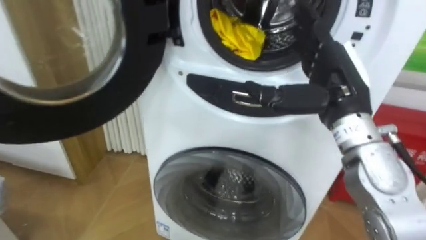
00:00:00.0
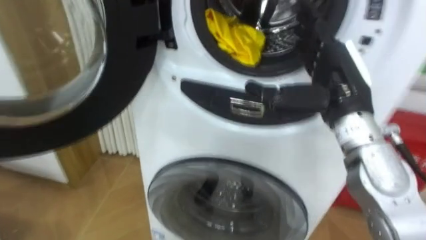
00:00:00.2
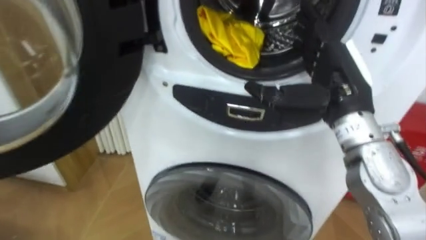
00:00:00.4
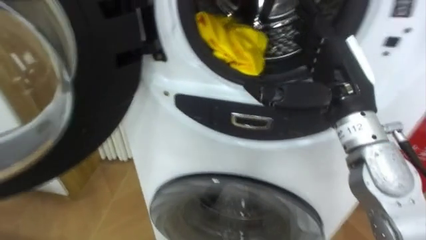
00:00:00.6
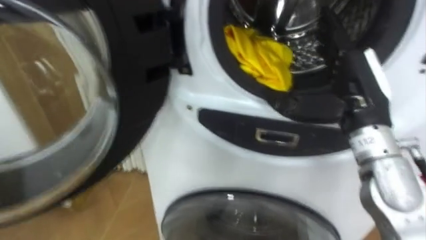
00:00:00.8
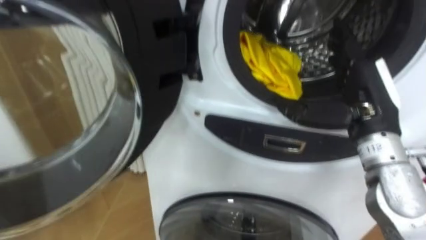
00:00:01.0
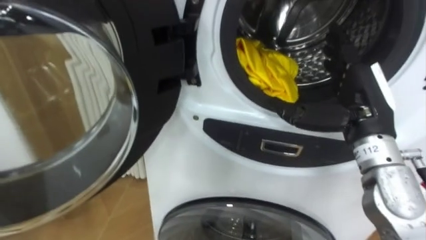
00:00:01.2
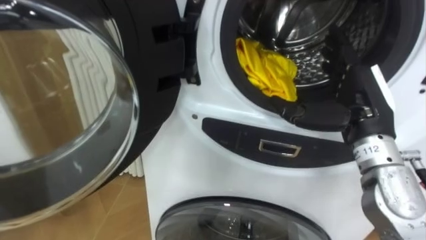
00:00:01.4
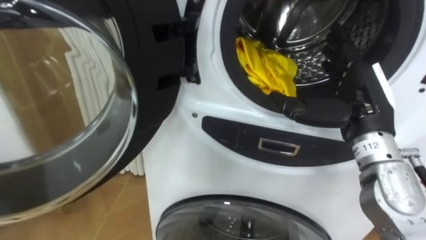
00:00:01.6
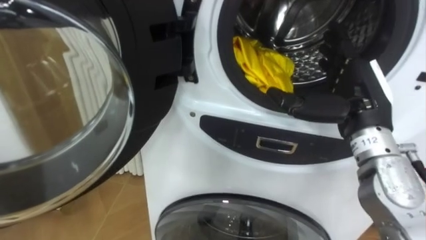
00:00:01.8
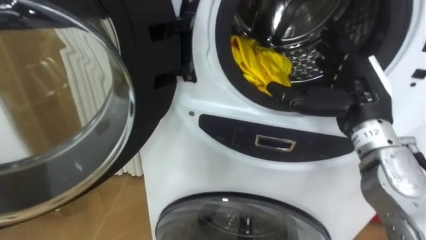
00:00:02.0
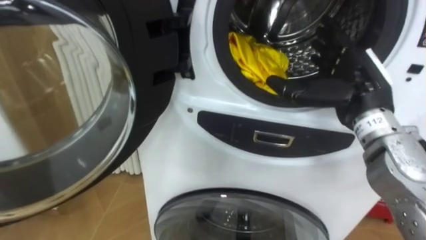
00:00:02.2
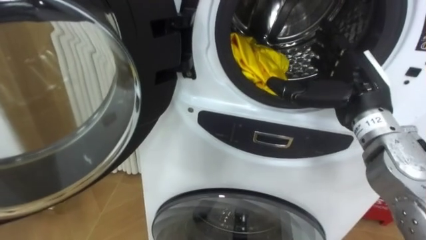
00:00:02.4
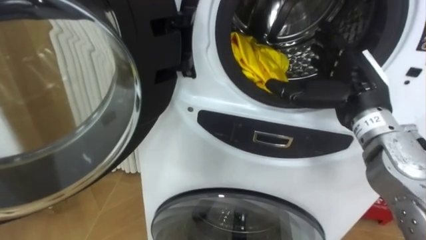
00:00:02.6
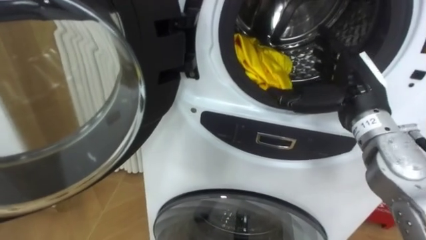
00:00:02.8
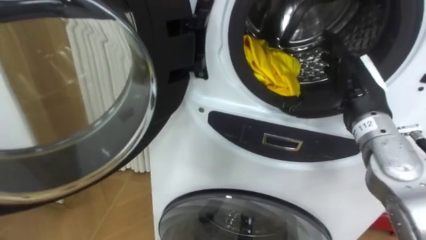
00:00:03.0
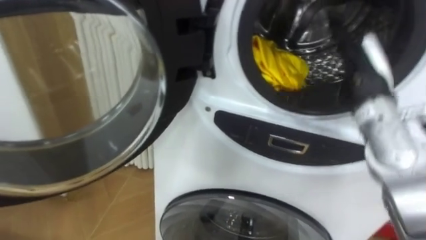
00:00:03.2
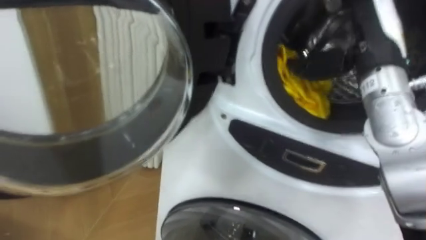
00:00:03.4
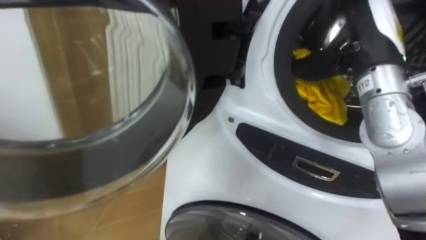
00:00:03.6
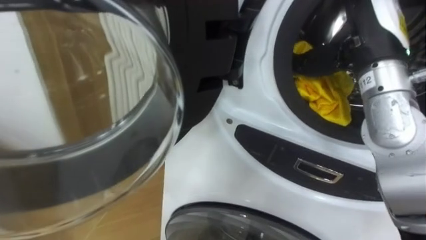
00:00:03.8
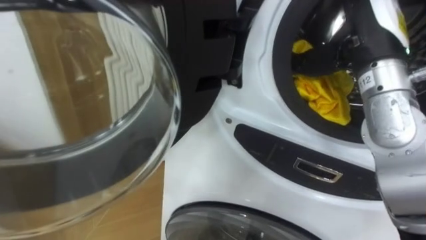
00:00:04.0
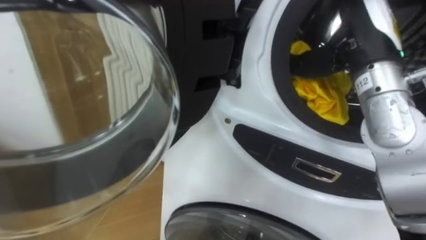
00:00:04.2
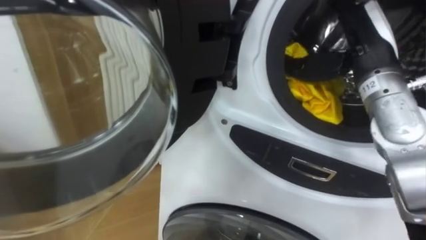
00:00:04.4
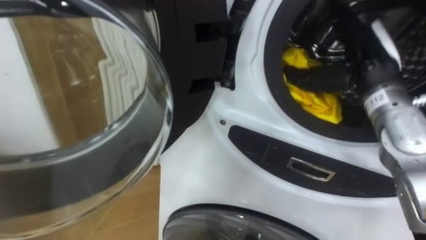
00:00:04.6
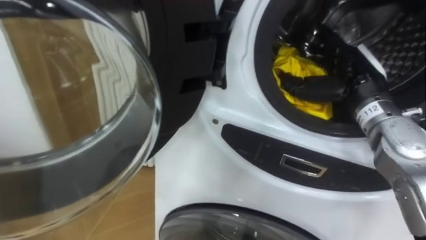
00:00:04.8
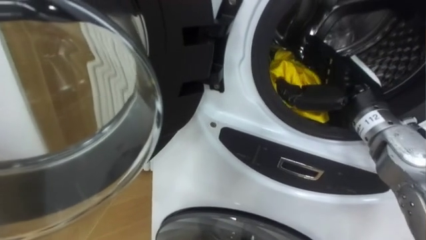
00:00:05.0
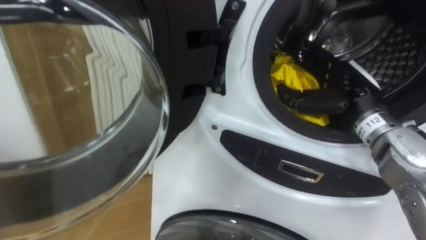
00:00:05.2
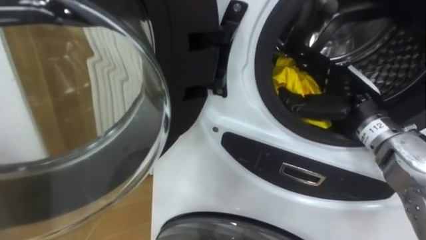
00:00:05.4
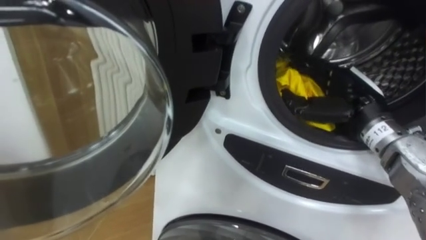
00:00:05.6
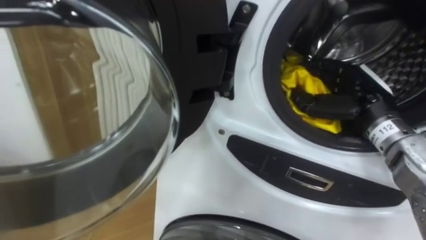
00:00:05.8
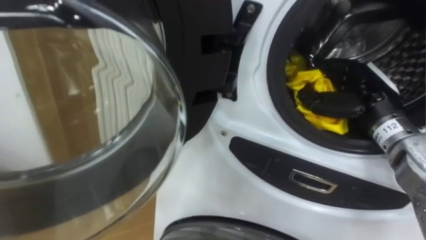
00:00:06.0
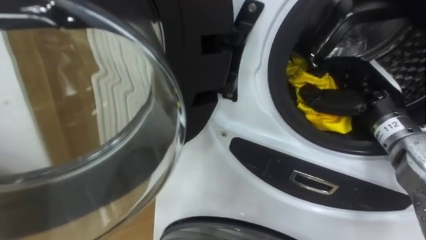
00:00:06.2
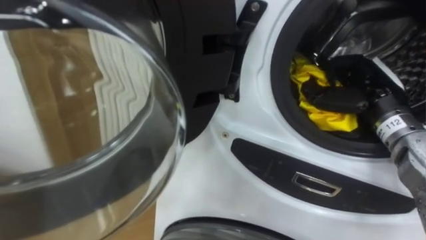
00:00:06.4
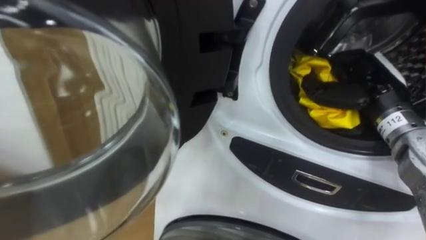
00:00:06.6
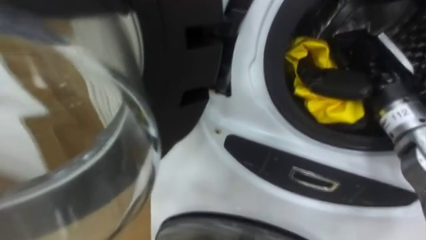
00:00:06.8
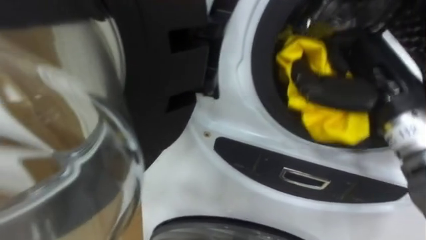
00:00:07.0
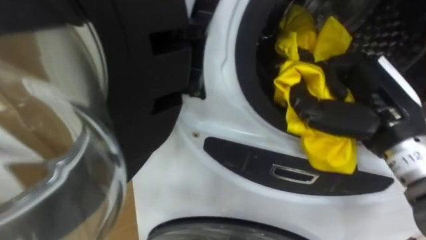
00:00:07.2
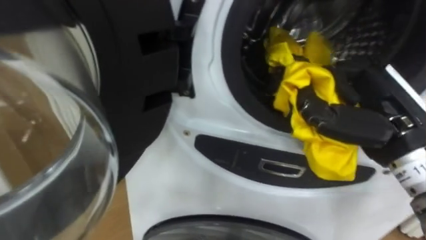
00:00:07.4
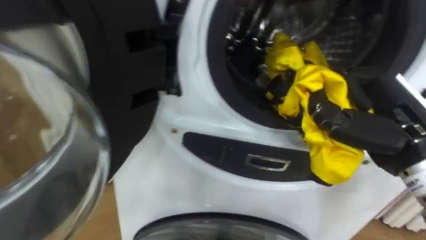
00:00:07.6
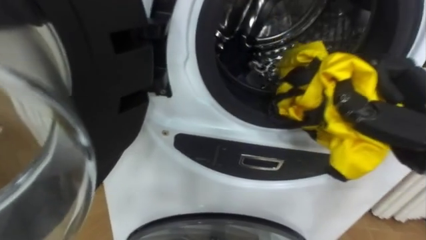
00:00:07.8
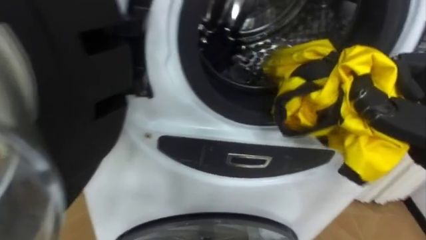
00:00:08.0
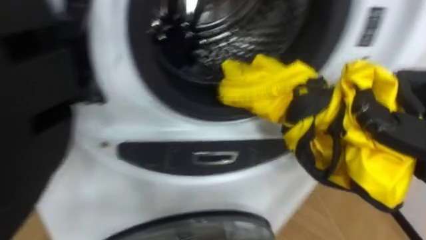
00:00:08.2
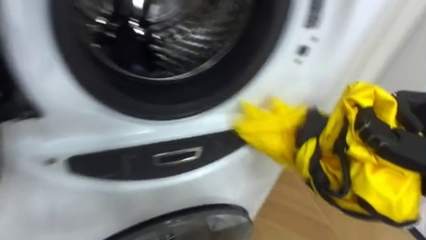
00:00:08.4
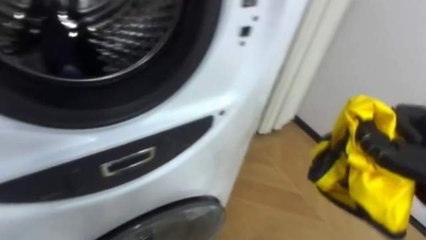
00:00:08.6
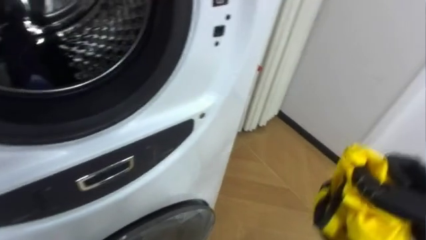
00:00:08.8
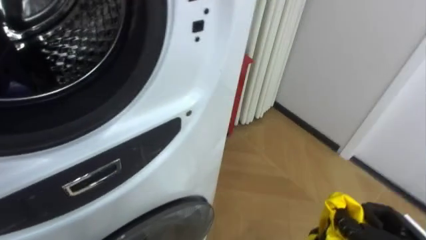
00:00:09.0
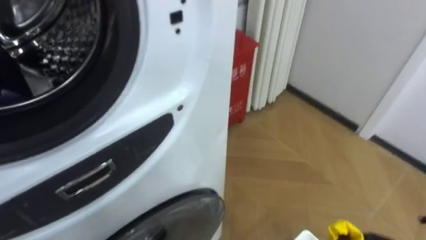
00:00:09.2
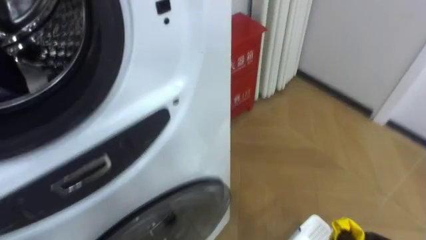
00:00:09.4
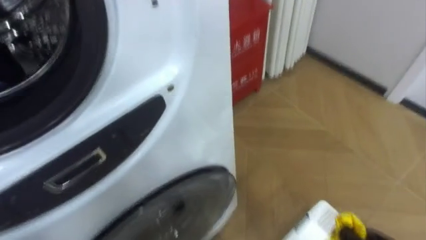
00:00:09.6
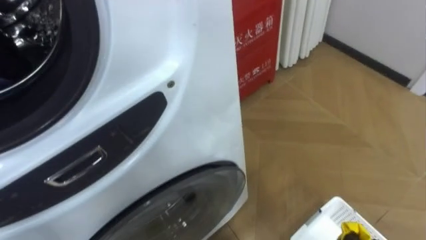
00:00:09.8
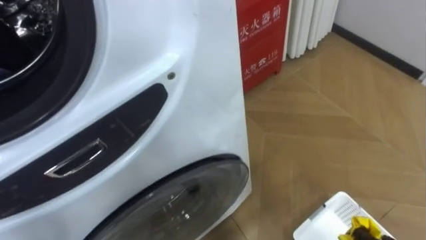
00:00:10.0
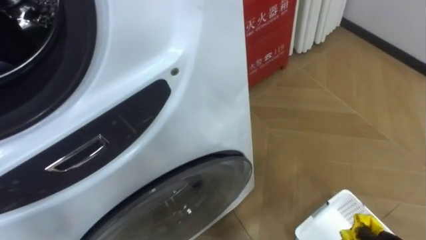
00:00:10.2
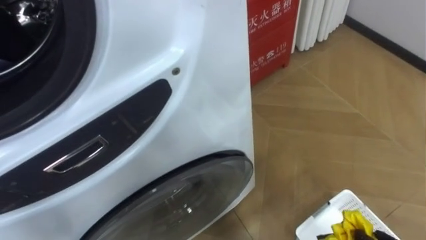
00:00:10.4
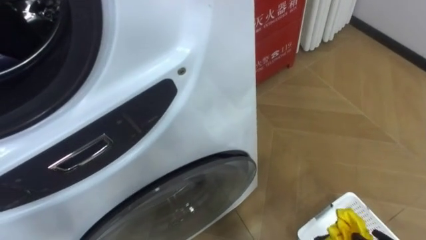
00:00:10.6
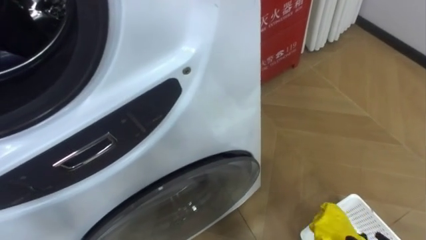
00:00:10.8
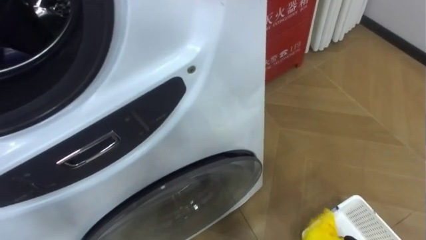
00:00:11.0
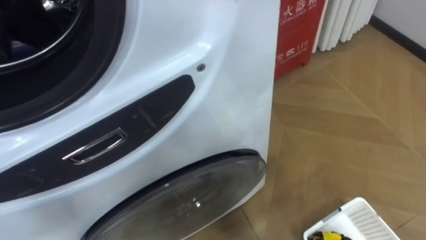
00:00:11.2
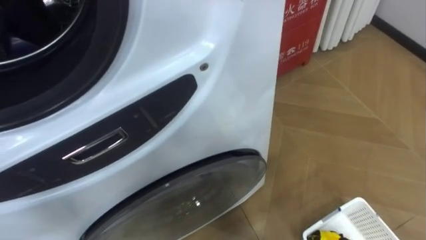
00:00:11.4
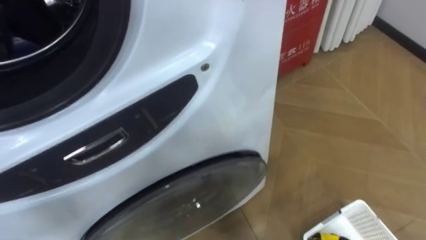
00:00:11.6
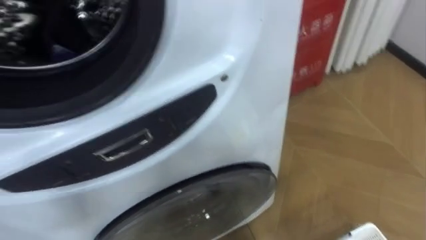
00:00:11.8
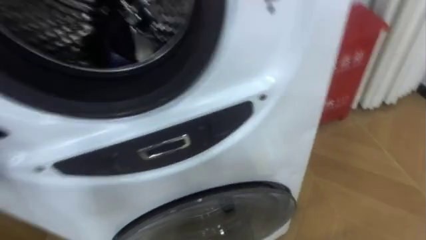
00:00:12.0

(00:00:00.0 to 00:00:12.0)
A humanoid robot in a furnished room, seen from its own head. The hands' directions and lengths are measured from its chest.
Task of the whole recording: Open the washing machine door, take out the yellow clothes, place them in the box on the right, and close the washing machine door.
00:00:03.0 - 00:00:04.4: The right hand shifts roughly 5 cm upward.
00:00:04.4 - 00:00:06.0: The right hand travels downward by approximately 10 cm, and closes its fingers.
00:00:06.0 - 00:00:07.6: The right hand moves backward, some 10 cm, and closes.
00:00:07.6 - 00:00:09.0: The robot's body swings approximately 30 degrees to its right.

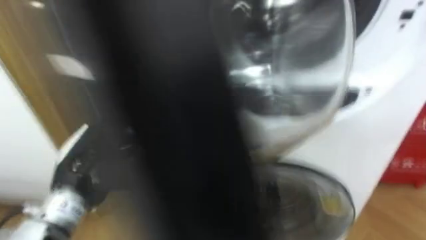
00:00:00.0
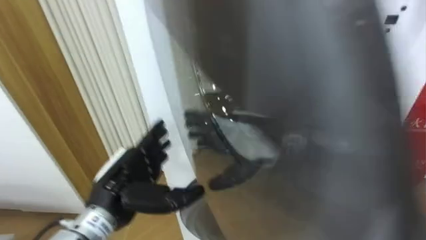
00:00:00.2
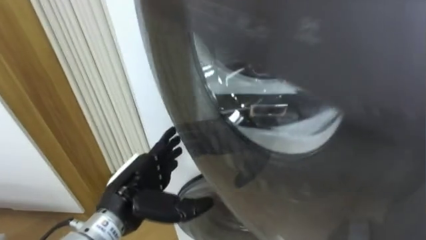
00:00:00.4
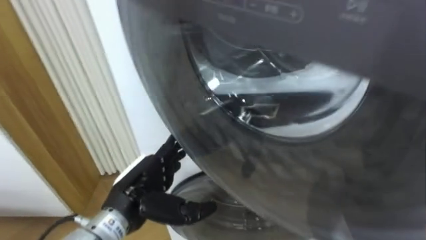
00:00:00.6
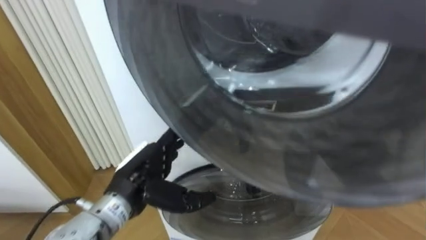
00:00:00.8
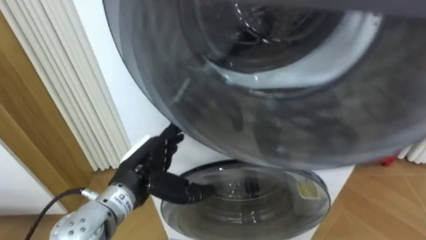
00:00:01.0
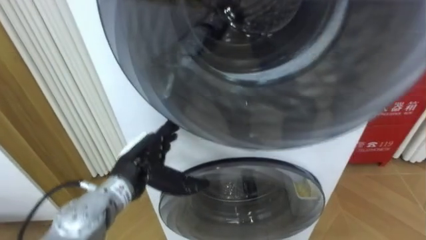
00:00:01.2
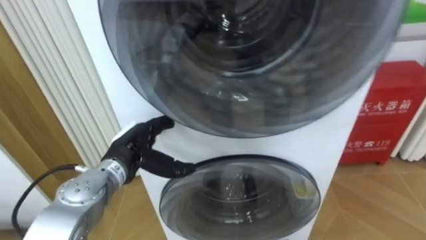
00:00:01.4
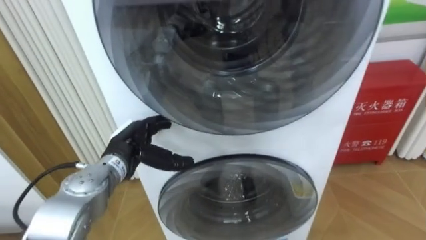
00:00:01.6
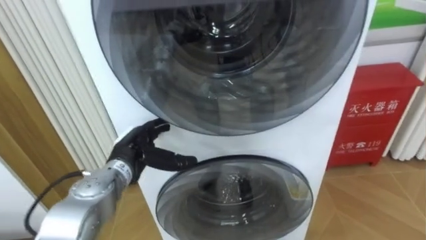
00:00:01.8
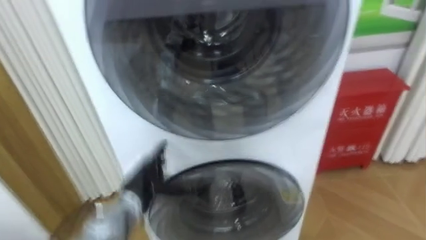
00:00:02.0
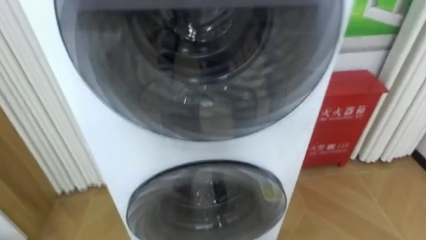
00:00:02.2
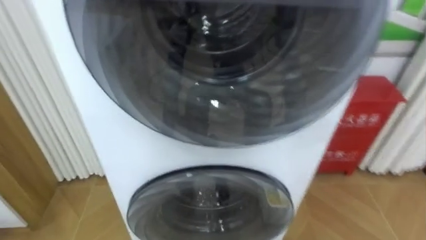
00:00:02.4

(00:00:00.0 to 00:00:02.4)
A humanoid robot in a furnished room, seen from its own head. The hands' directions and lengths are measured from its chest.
Task of the whole recording: Open the washing machine door, take out the yellow clothes, place them in the box on the right, and close the washing machine door.
00:00:00.0 - 00:00:01.2: The left hand heads to the right and downward, covering some 10 cm.

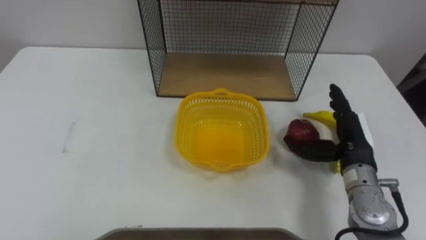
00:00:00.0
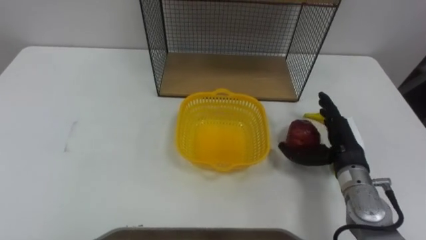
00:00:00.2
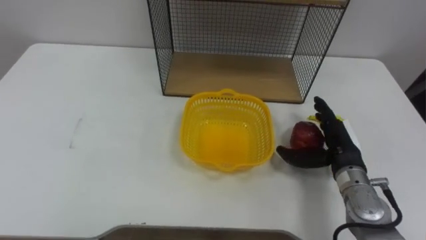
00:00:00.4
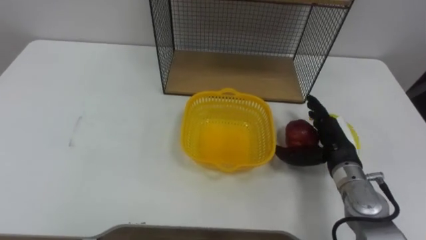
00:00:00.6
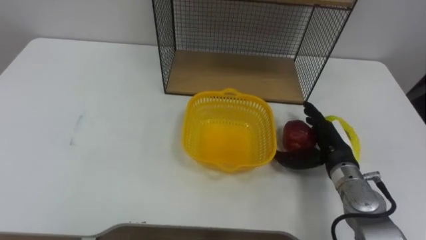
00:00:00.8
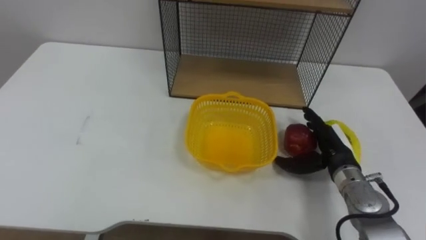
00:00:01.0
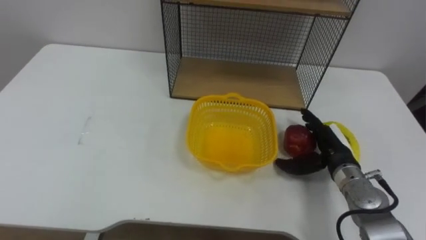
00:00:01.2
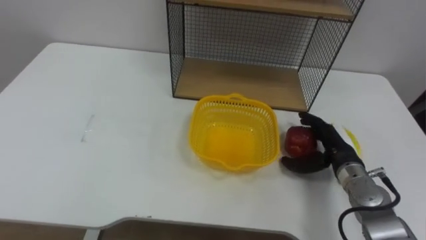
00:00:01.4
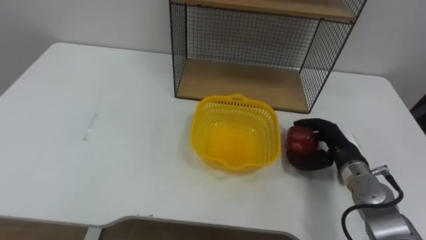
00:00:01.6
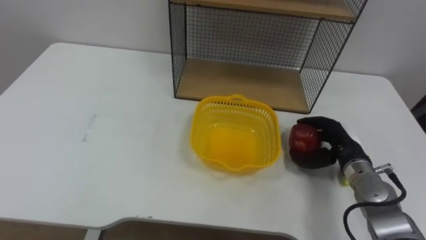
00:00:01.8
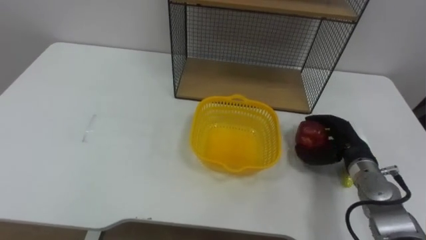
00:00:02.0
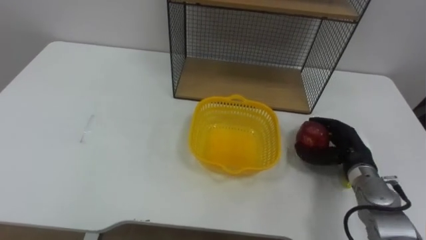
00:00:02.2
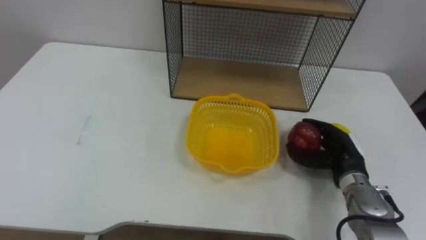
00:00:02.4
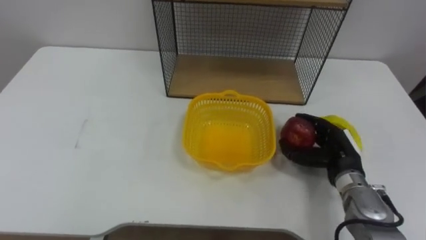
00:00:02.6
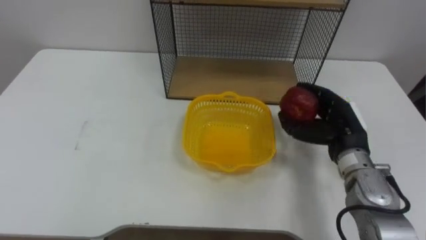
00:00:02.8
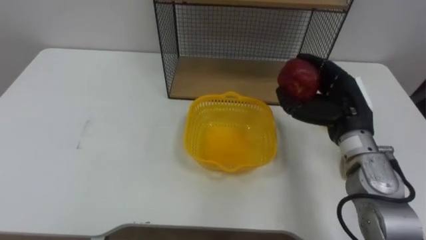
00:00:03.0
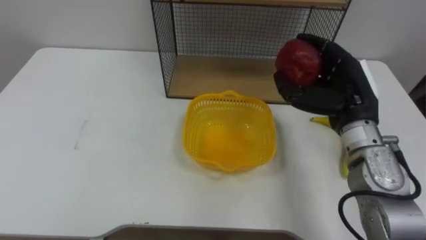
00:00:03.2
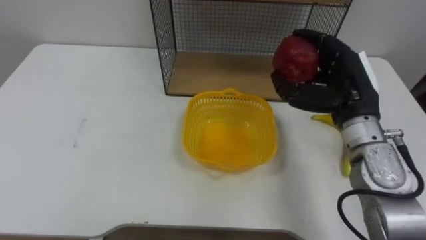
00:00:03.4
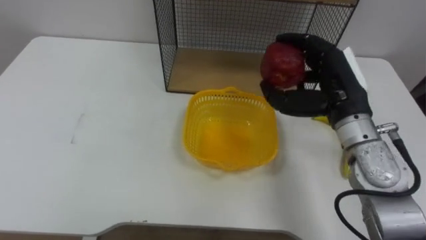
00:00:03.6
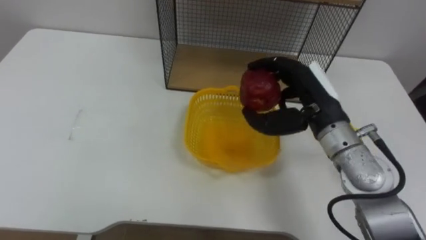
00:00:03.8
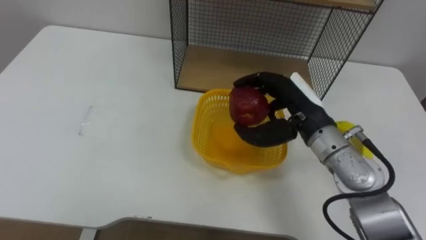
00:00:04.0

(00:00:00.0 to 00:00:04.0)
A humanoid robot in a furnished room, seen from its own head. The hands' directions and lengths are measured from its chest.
Task of the whole recording: Put the fruit on the table into the basket, then place the basket on the shelf.
00:00:00.0 - 00:00:01.4: The right hand shifts some 5 cm downward.
00:00:02.6 - 00:00:04.0: The right hand shifts about 15 cm upward and to the left.
